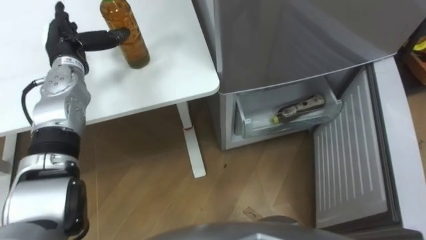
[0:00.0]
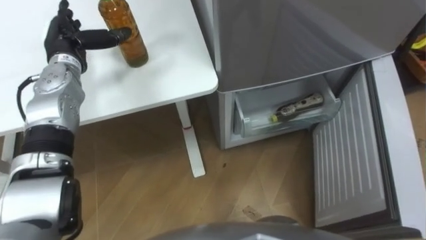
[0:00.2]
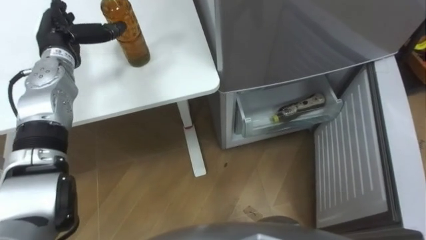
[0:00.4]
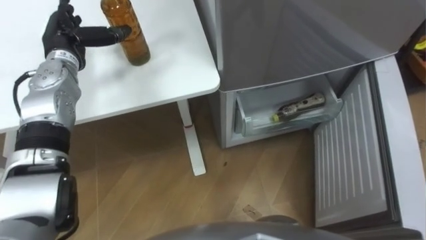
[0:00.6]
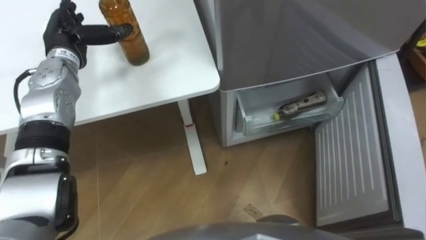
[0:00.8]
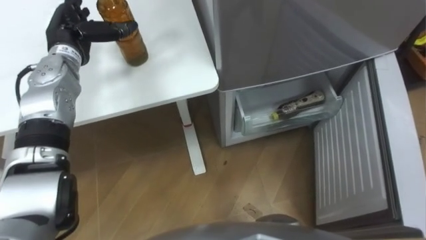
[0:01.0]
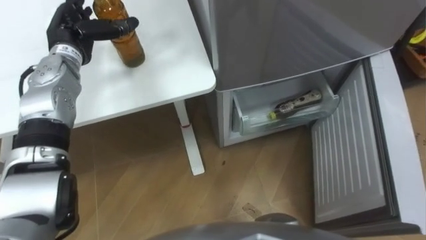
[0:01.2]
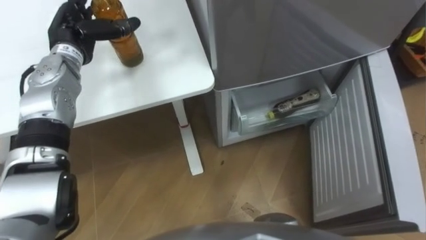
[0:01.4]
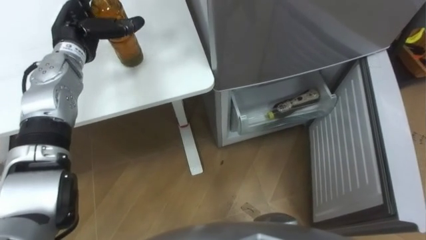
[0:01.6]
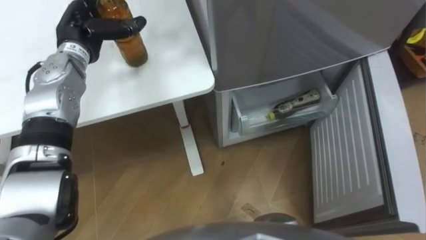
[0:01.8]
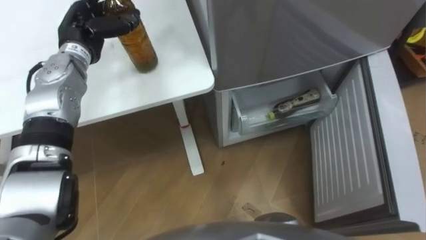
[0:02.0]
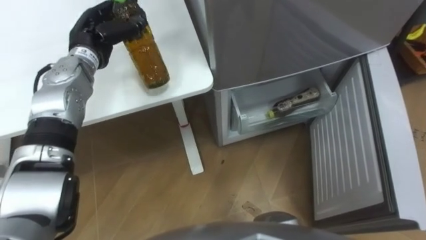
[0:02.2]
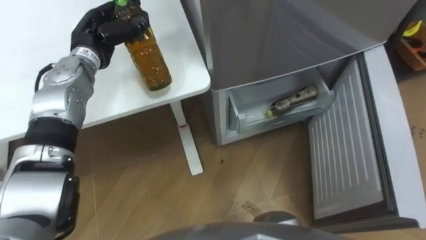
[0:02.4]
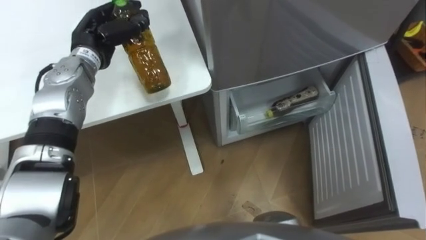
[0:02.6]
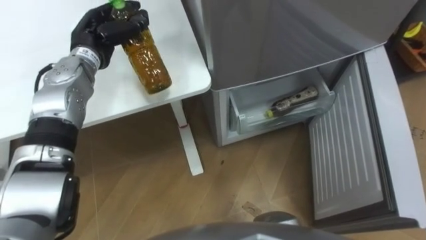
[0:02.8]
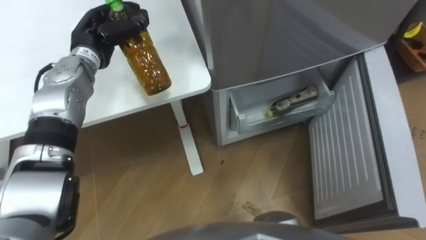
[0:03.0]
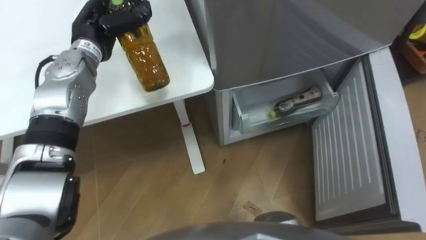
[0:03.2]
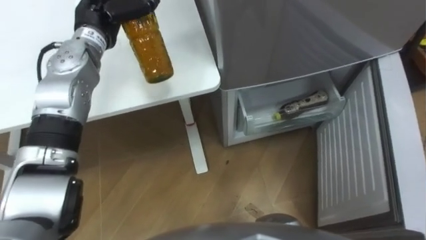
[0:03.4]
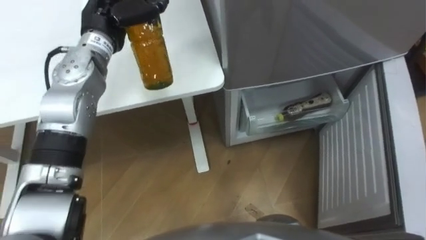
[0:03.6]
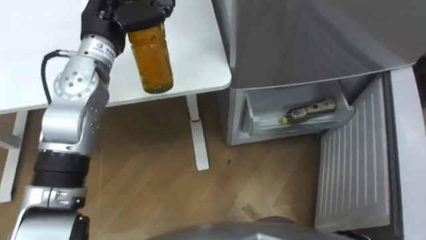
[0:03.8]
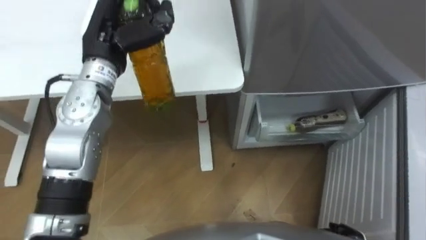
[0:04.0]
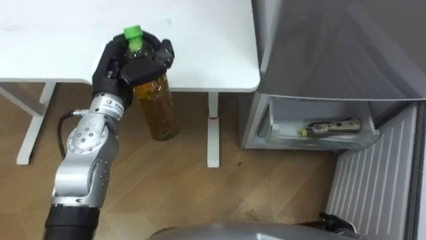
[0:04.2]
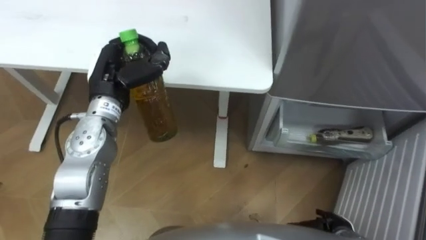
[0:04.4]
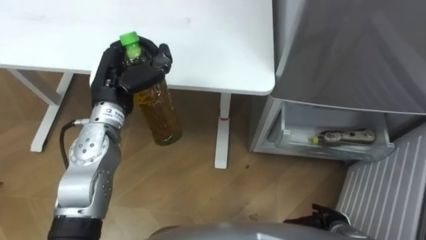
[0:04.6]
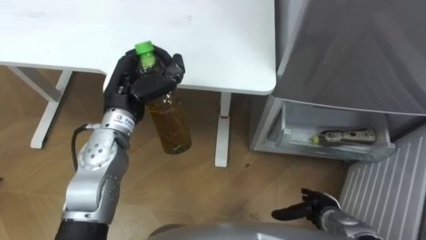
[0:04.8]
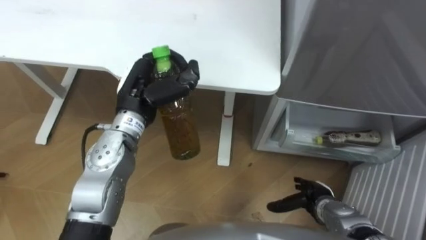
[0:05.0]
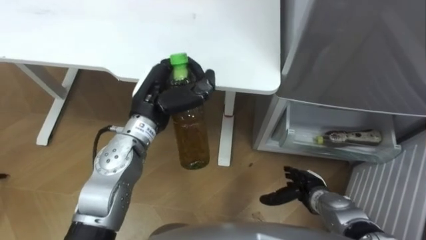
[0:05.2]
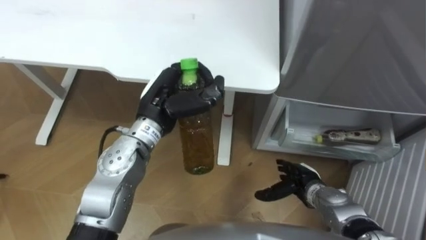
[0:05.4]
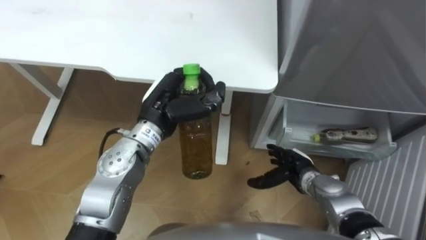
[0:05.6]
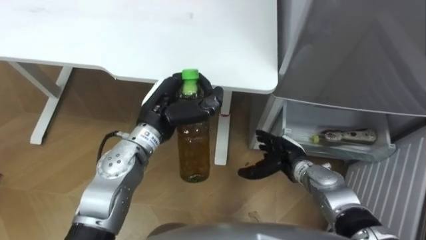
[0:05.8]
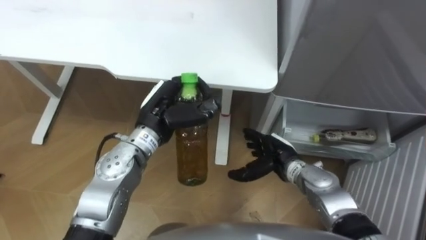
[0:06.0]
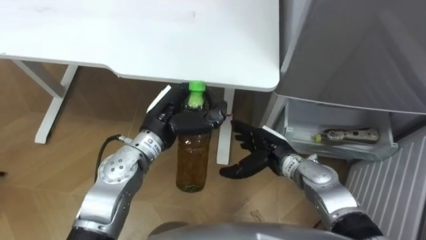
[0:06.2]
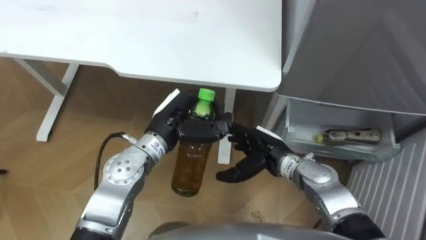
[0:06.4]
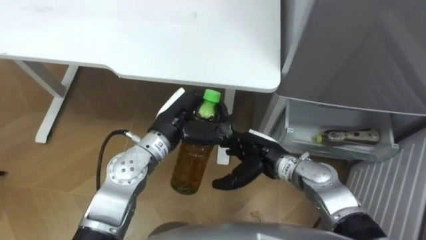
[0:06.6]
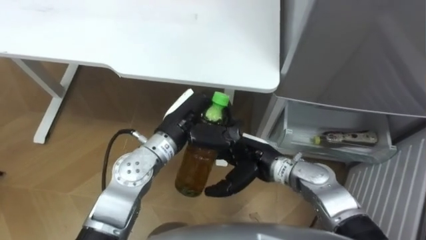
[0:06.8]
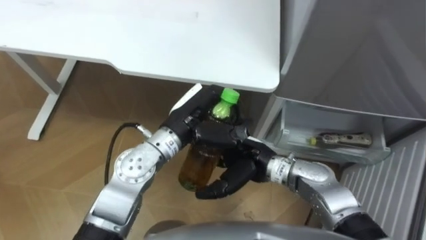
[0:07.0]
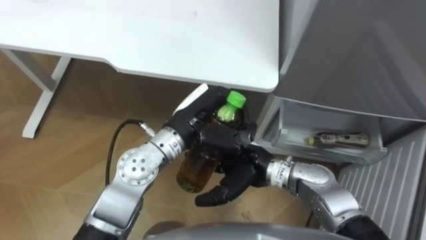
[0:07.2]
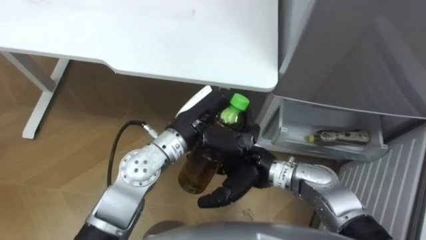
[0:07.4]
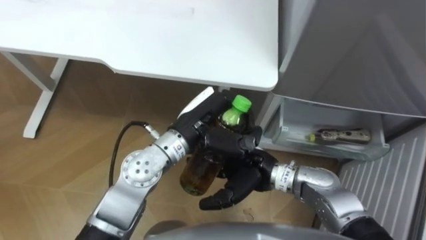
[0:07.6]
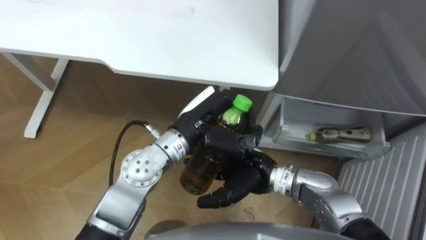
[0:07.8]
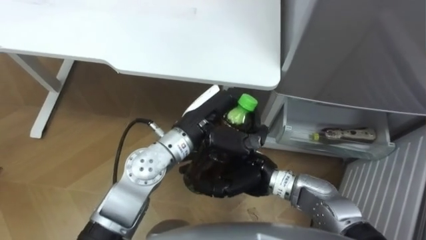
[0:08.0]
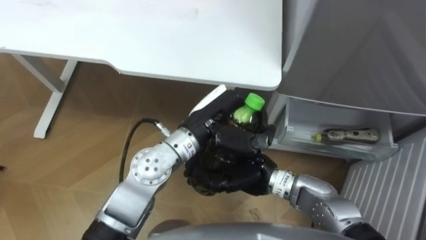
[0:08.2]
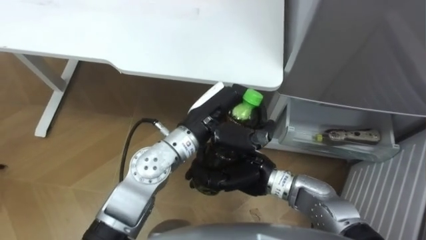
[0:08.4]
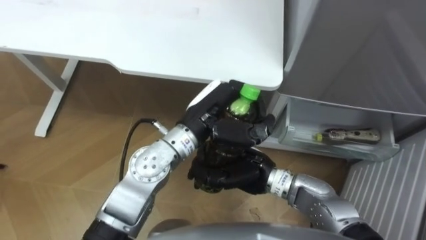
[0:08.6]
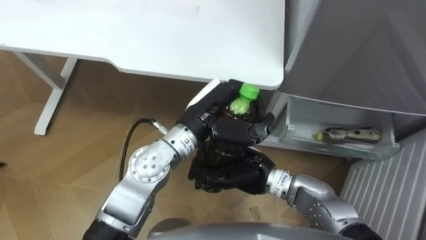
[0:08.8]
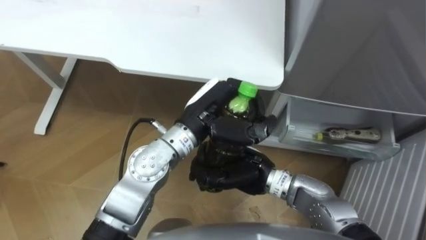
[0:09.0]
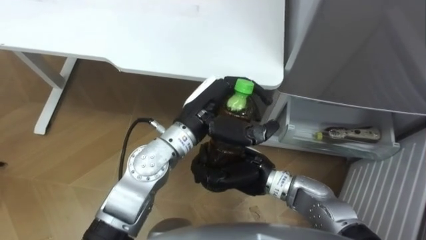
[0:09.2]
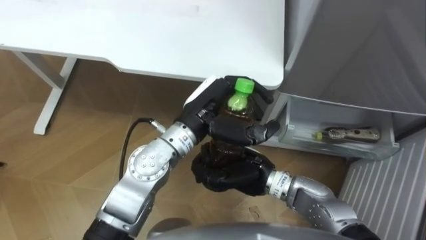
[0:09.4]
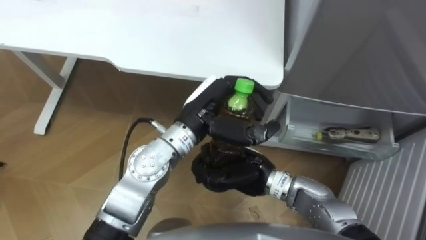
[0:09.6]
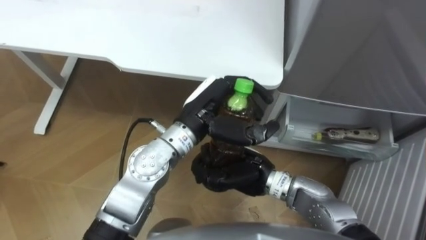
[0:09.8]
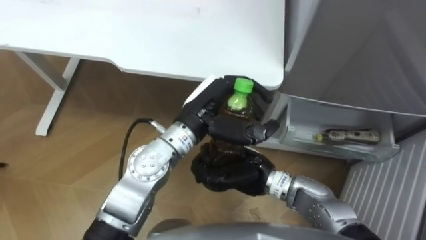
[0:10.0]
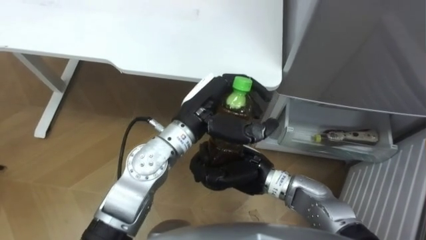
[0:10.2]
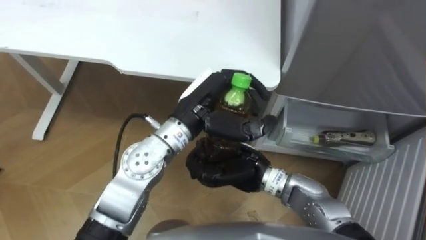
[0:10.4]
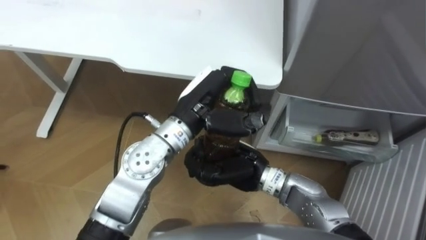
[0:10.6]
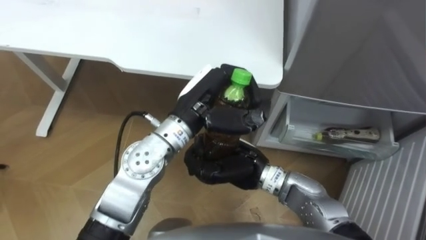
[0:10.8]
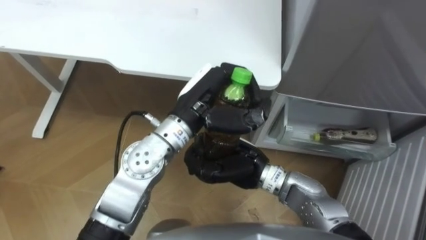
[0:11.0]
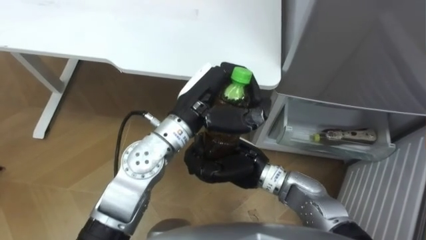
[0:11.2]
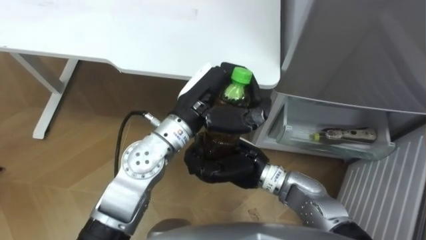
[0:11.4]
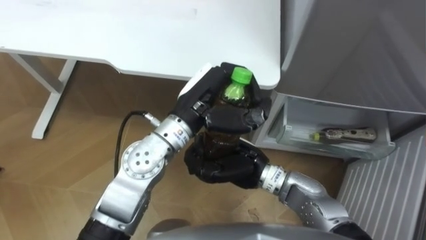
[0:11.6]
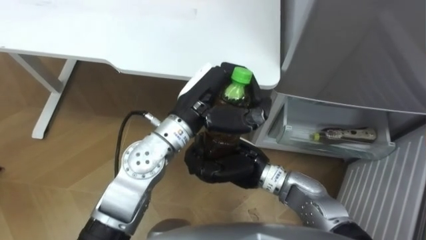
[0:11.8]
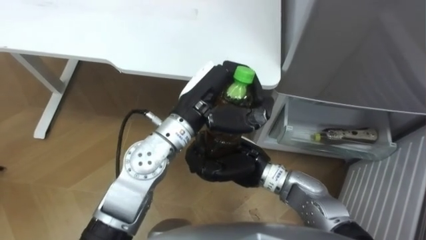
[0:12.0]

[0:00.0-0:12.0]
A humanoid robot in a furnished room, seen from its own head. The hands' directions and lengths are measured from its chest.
Task of the whole recording: Place the drink on the table on the bottom shelf of the refrigerator, then close the drawer and the refrigerator door.
0:01.6 to 0:03.0: The left hand closes its fingers.
0:03.0 to 0:04.4: The left hand goes roughly 10 cm backward.
0:04.4 to 0:06.0: The left hand goes approximately 10 cm to the right; the right hand moves forward, to the left and upward, about 20 cm.
0:06.0 to 0:07.6: The left hand travels to the right by roughly 5 cm. Meanwhile the right hand shifts approximately 10 cm to the left and upward.
0:07.6 to 0:09.0: The right hand closes.
0:09.0 to 0:12.0: There are only small adjustments of the hands.

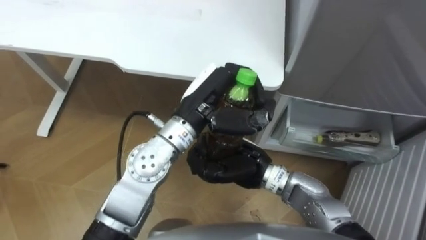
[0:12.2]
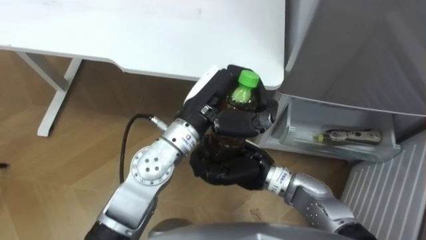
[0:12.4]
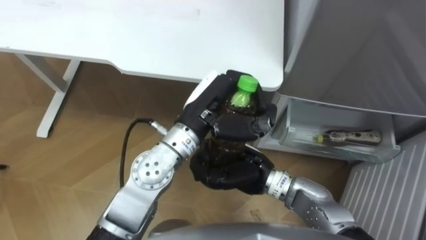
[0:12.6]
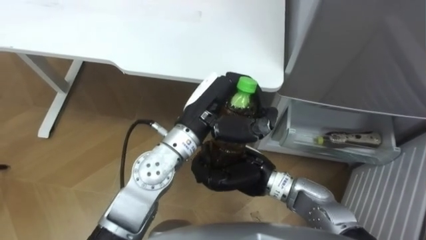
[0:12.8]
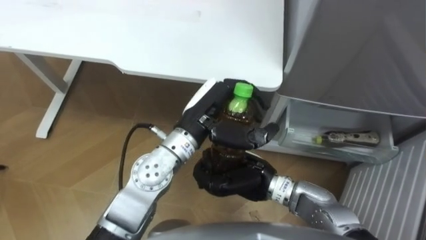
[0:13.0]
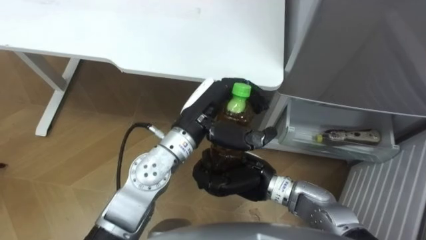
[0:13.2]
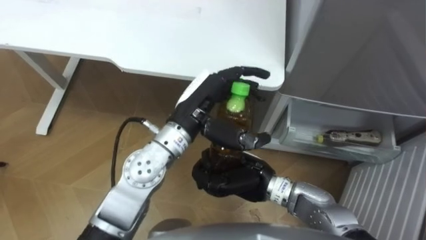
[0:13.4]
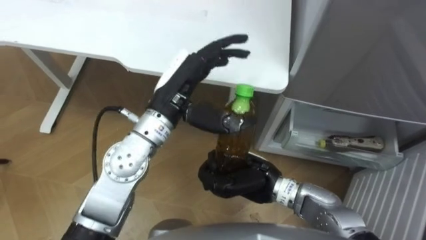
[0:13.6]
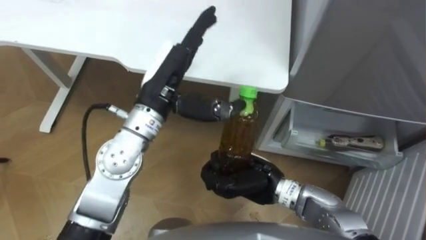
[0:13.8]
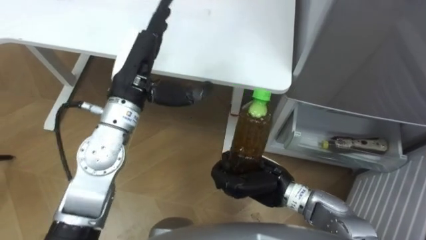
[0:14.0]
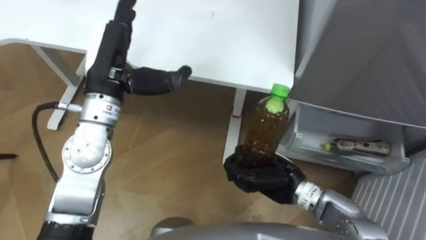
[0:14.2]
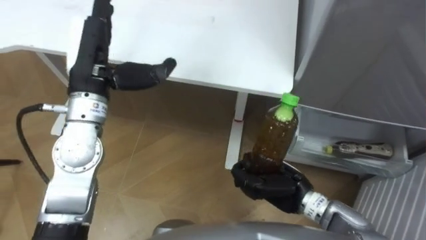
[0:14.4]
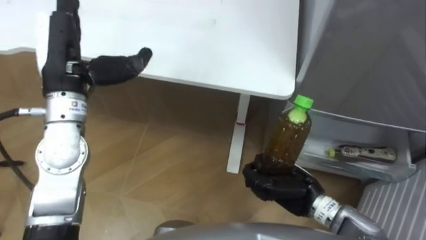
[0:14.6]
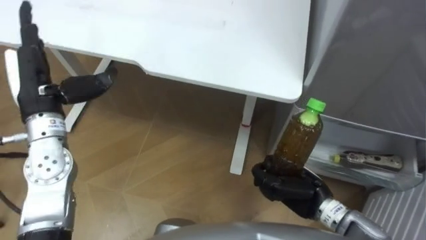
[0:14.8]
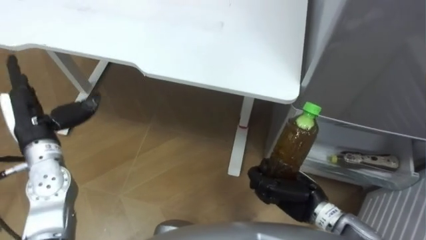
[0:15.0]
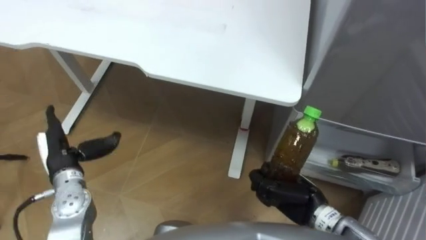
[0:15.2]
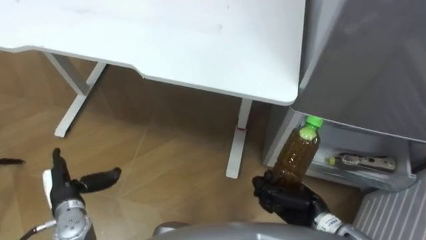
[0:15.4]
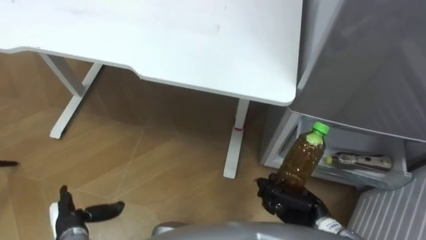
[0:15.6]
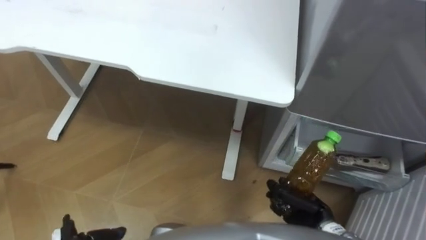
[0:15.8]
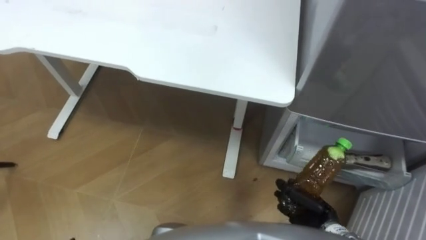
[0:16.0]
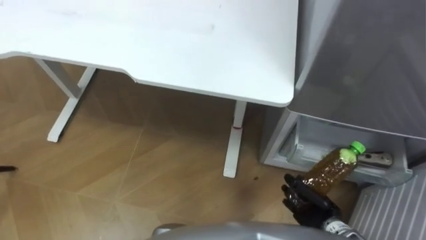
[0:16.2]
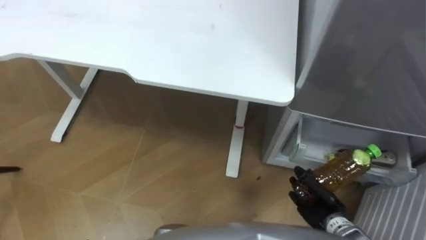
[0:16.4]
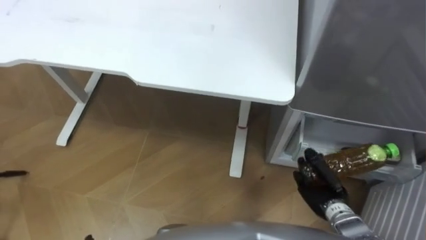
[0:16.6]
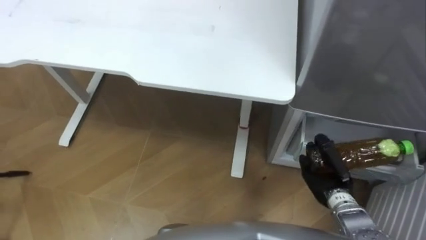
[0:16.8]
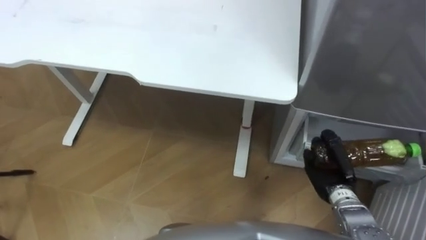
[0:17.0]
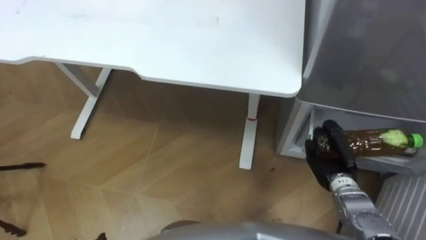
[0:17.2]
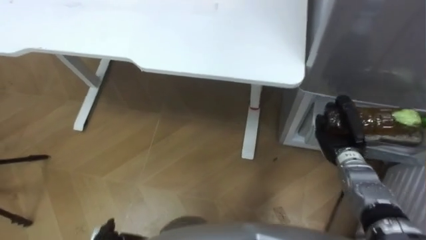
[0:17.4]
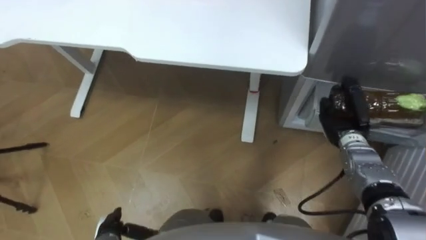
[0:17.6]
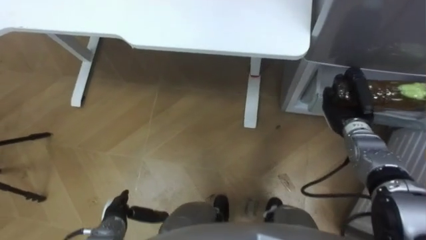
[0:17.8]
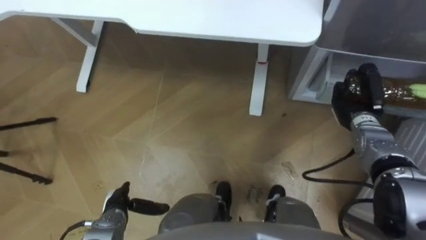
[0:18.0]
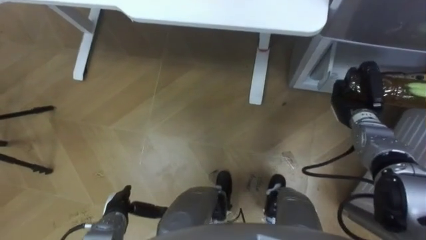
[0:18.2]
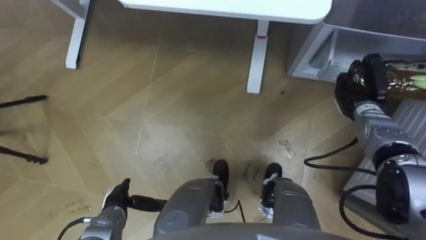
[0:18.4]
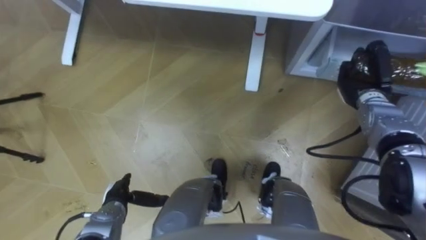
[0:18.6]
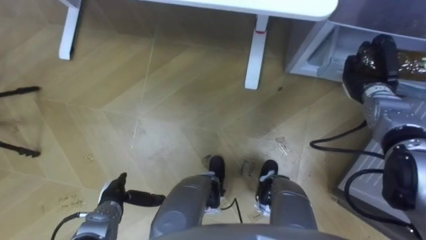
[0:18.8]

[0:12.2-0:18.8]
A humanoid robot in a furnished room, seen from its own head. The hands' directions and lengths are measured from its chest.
Task of the whole recording: Place the drink on the table on the bottom shelf of the refrigerator, then close the drawer and the refrigerator door.
0:12.2 to 0:13.8: The left hand is displaced to the left by some 5 cm, and opens its fingers.
0:13.8 to 0:15.4: The right hand goes approximately 10 cm to the right and downward. Meanwhile the left hand heads to the left, downward and backward, covering approximately 35 cm.
0:15.4 to 0:17.2: The right hand shifts roughly 10 cm to the right and forward.
0:17.2 to 0:18.8: The right hand heads forward and upward, covering roughly 20 cm.
